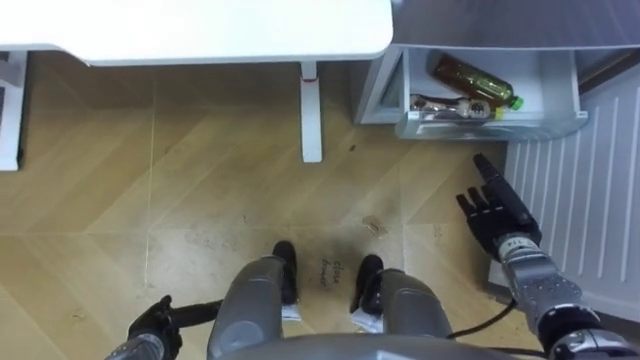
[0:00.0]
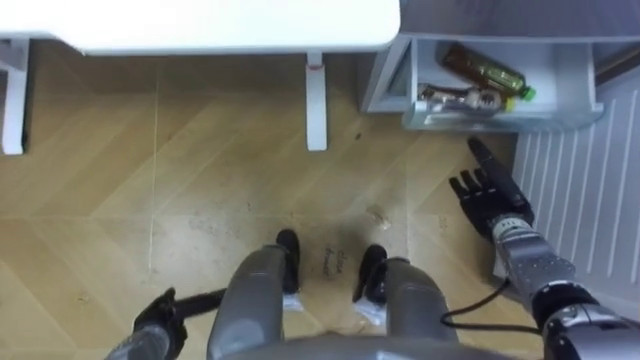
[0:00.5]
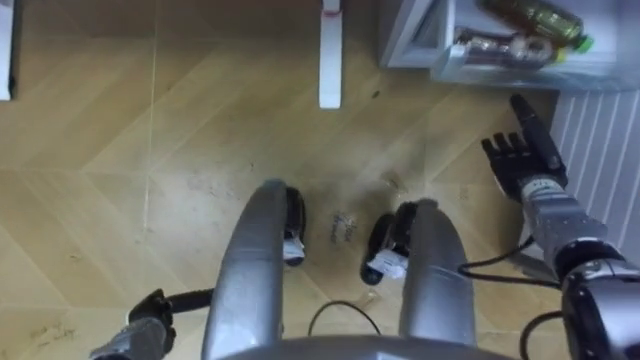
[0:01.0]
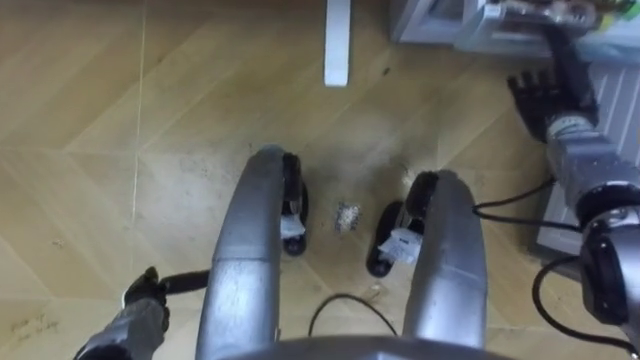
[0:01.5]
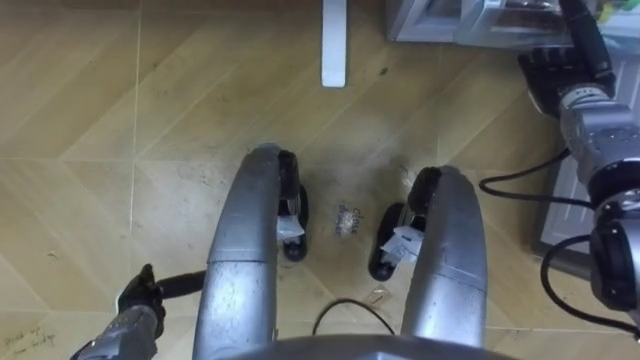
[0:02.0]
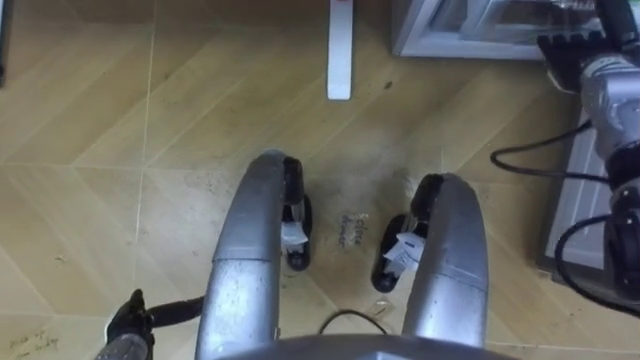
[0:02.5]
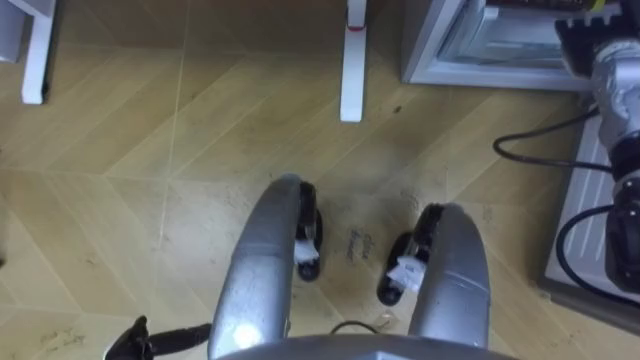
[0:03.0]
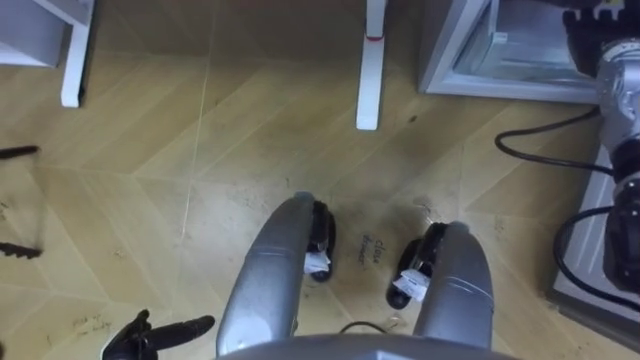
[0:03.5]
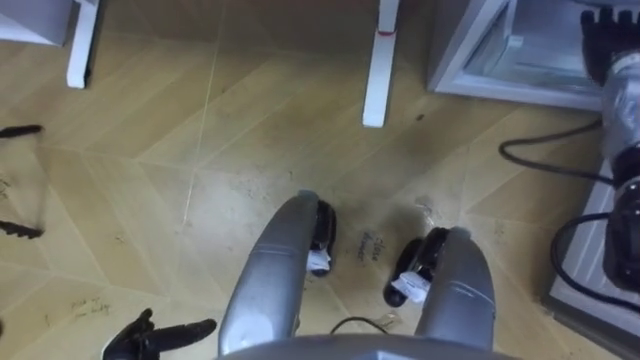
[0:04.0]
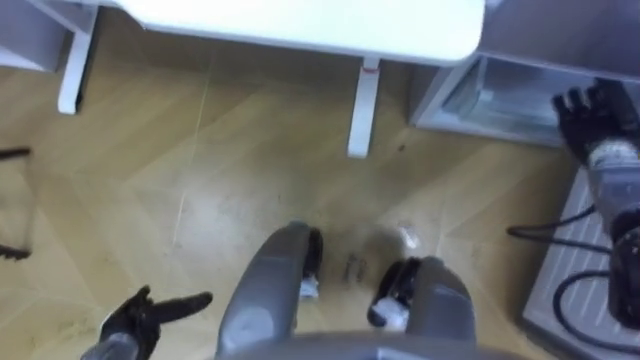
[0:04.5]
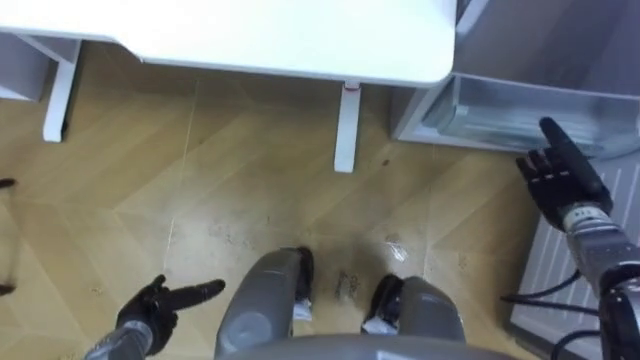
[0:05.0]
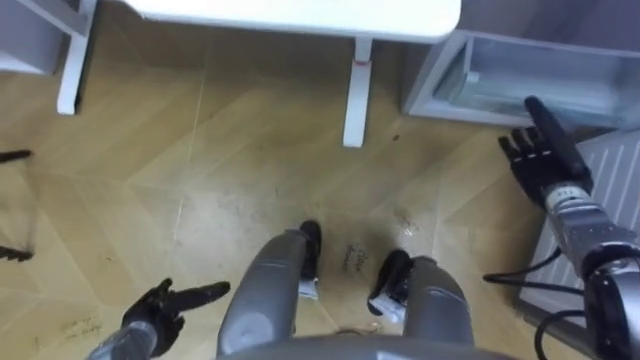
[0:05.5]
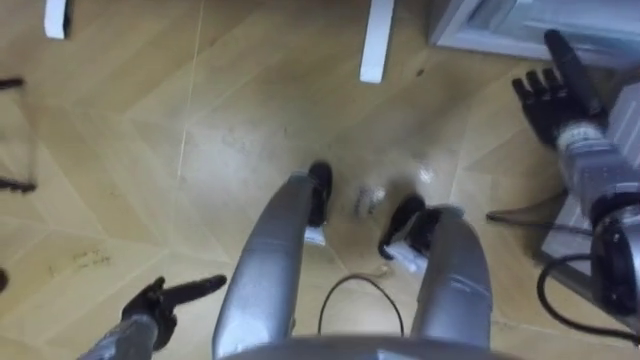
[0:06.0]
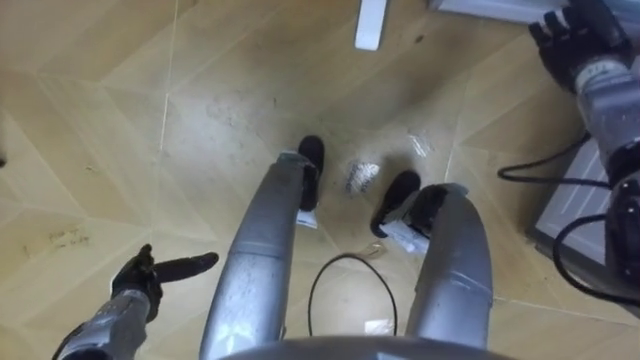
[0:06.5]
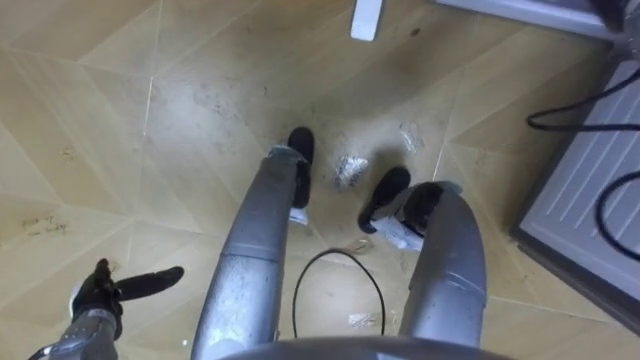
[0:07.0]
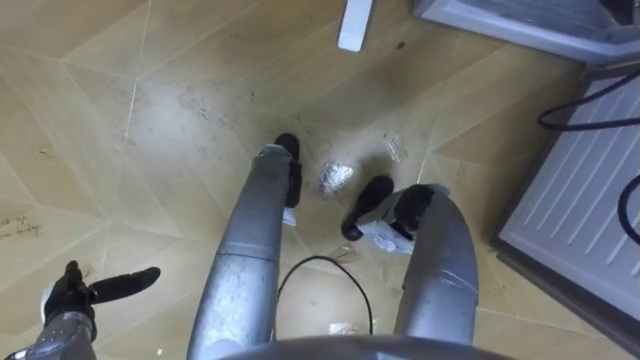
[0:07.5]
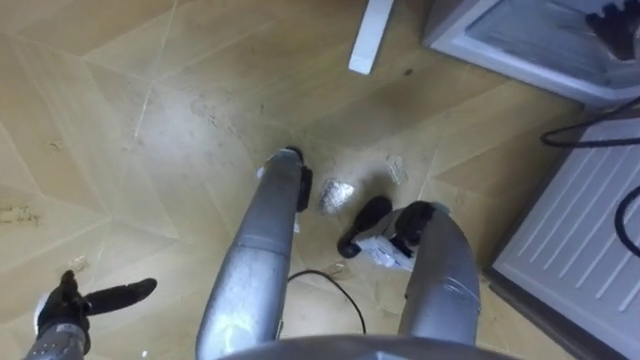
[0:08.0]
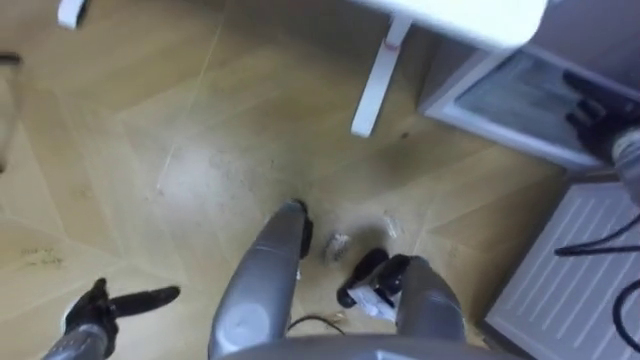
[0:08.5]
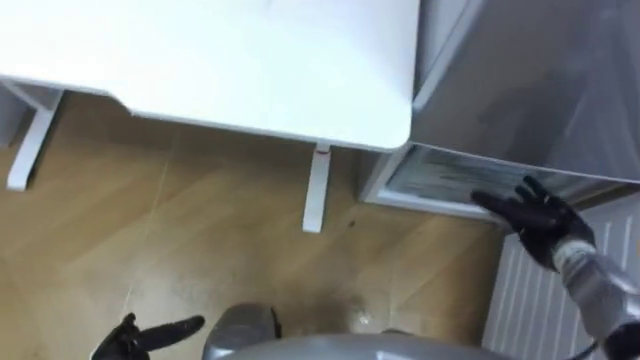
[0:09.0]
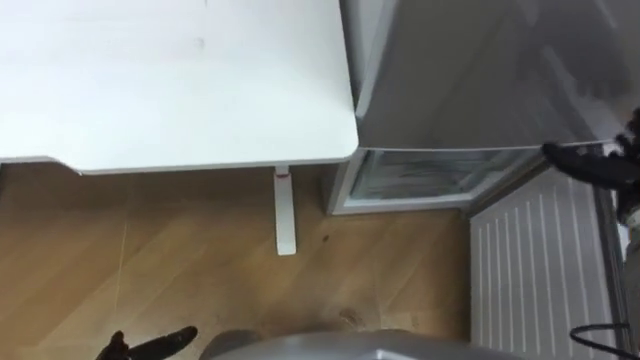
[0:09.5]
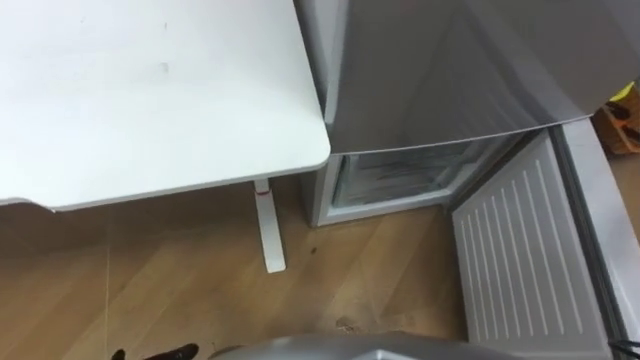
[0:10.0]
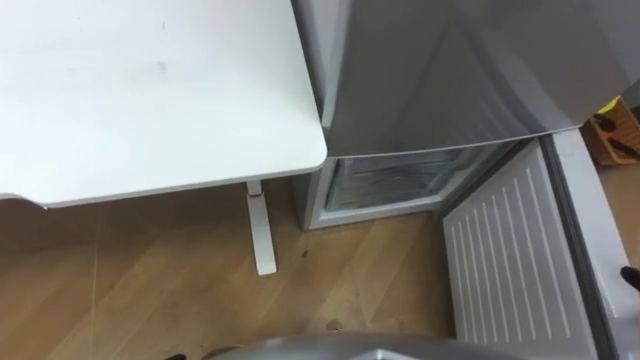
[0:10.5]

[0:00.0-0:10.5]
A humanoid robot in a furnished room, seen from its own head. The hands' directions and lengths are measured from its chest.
Task of the whole recording: Place the drink on the table on the bottom shelf of the refrigerator, then close the drawer and the refrigerator door.
0:00.0 to 0:02.0: The left hand ends up approximately 5 cm from where it was; the right hand shifts roughly 20 cm forward and upward.
0:02.0 to 0:04.0: The right hand travels upward by approximately 5 cm.
0:04.0 to 0:06.5: The left hand is displaced forward by roughly 10 cm, while the right hand travels downward and back again, about 15 cm each way.
0:06.5 to 0:08.5: The left hand heads to the left, covering some 5 cm.

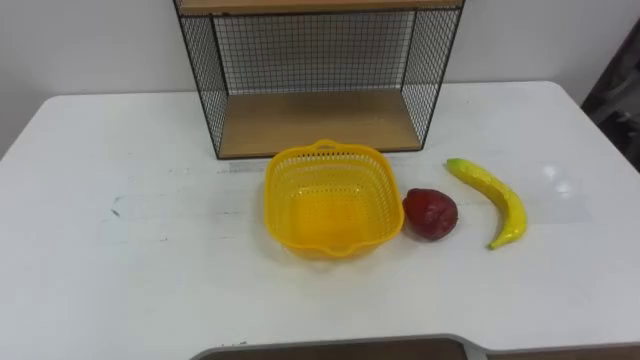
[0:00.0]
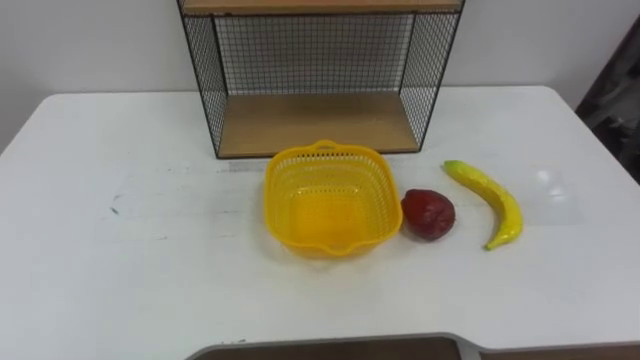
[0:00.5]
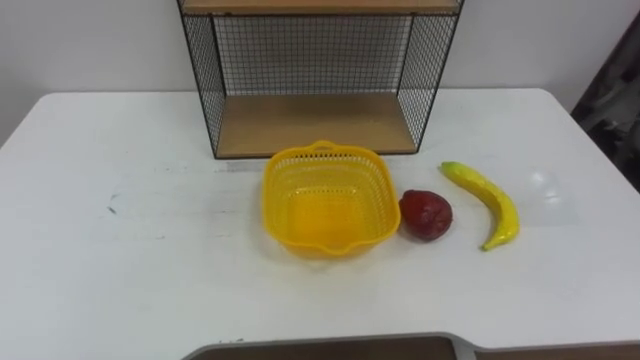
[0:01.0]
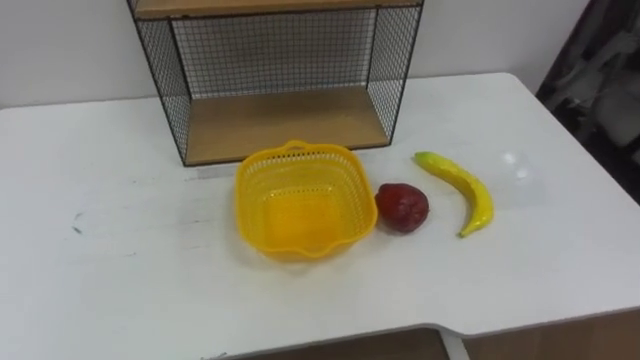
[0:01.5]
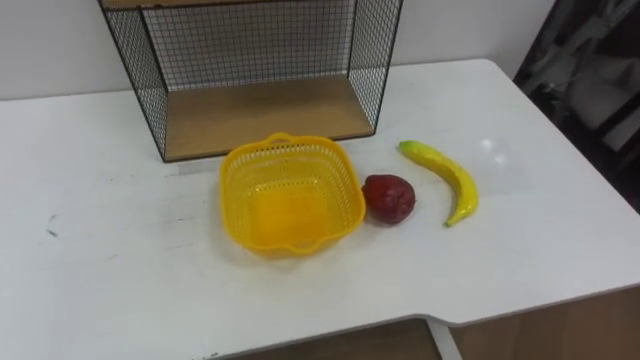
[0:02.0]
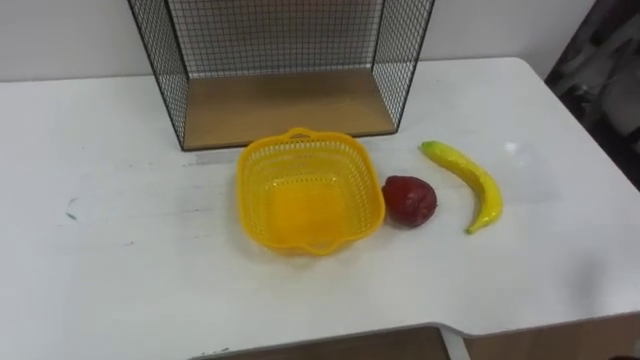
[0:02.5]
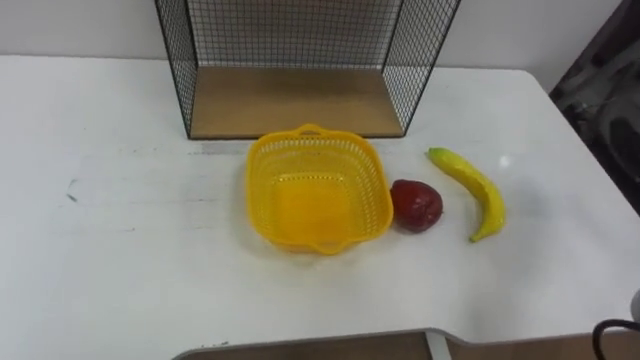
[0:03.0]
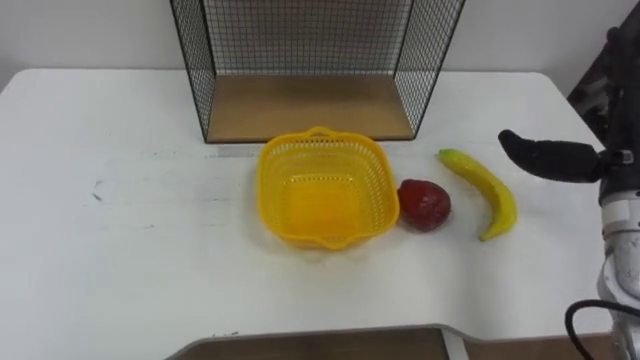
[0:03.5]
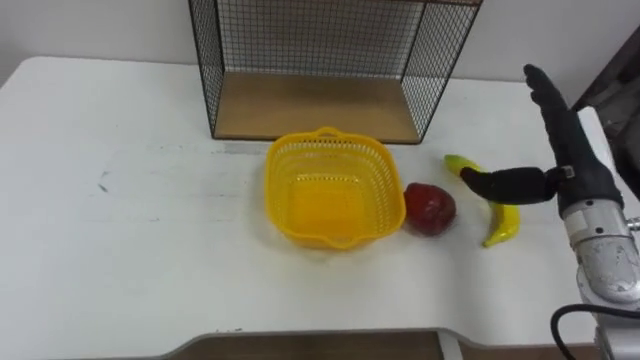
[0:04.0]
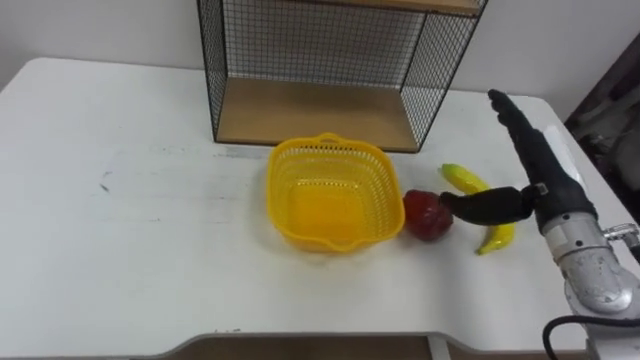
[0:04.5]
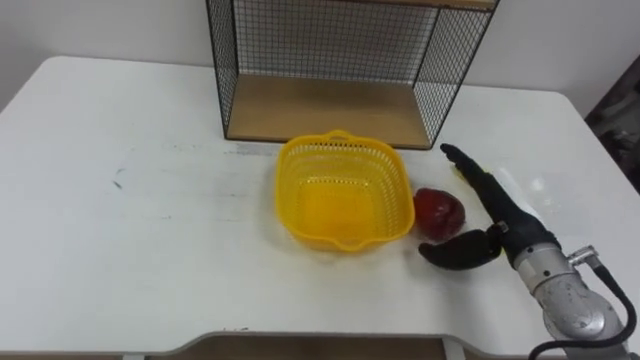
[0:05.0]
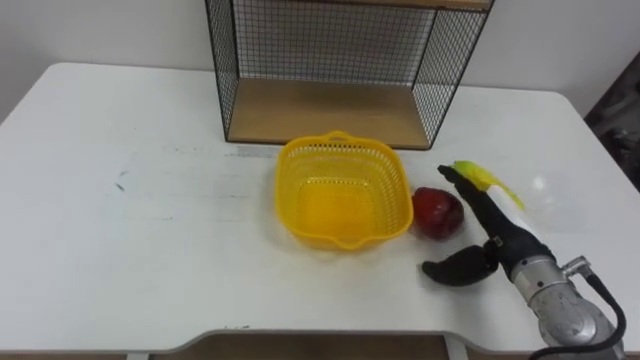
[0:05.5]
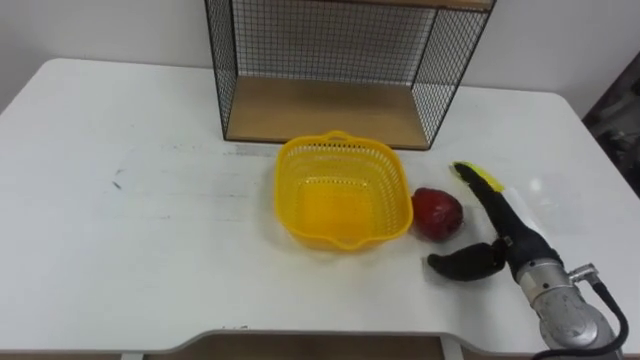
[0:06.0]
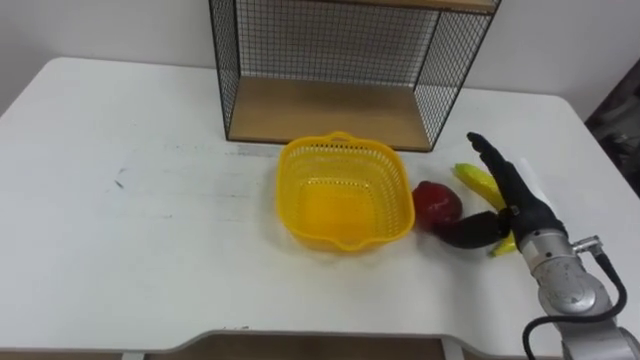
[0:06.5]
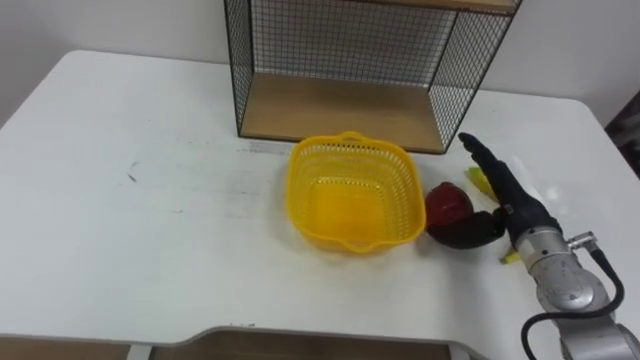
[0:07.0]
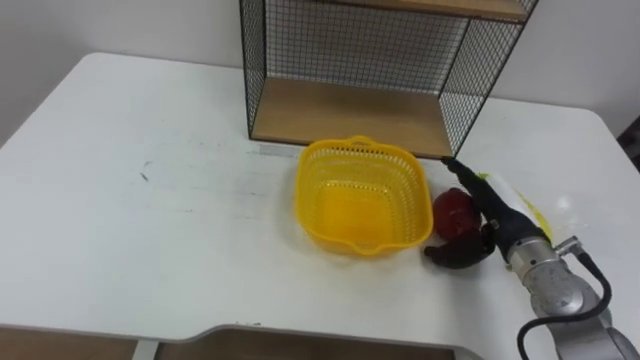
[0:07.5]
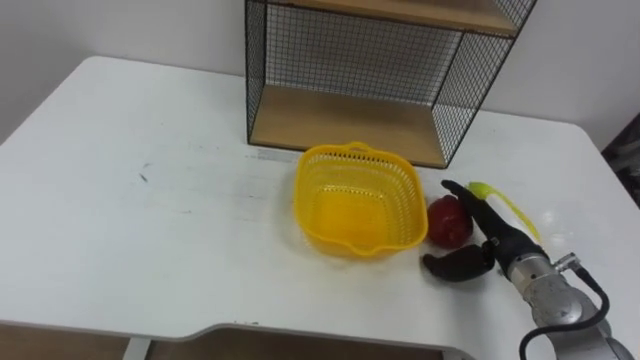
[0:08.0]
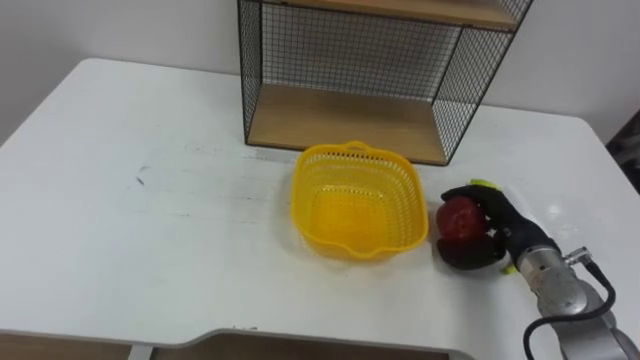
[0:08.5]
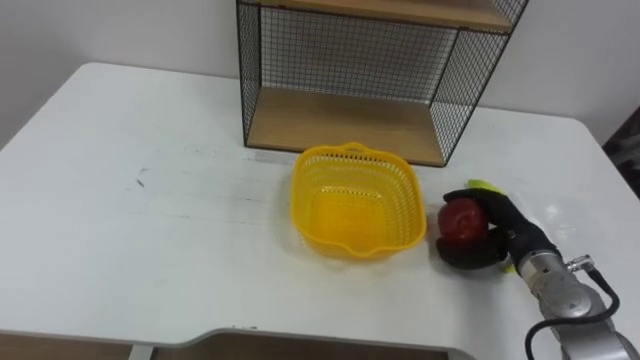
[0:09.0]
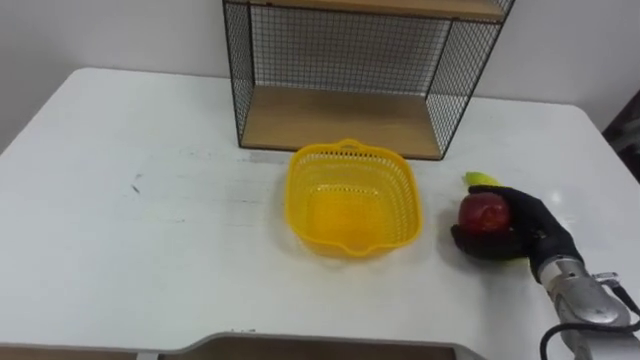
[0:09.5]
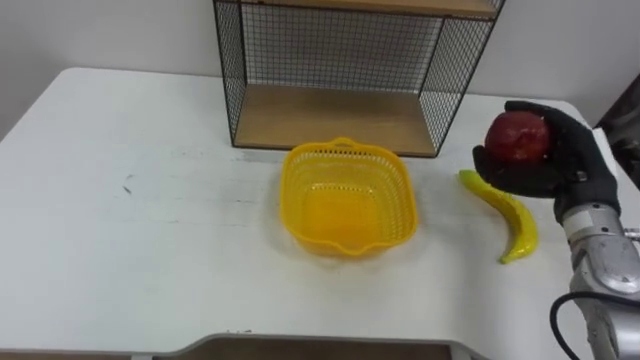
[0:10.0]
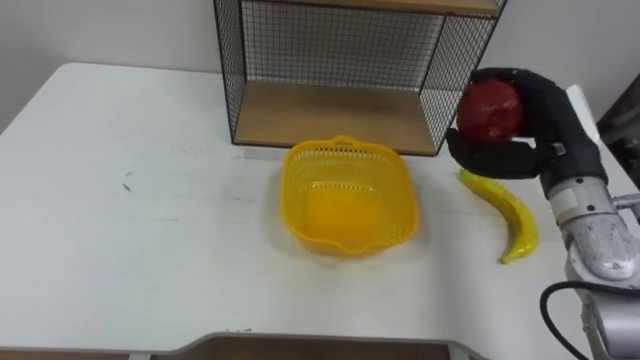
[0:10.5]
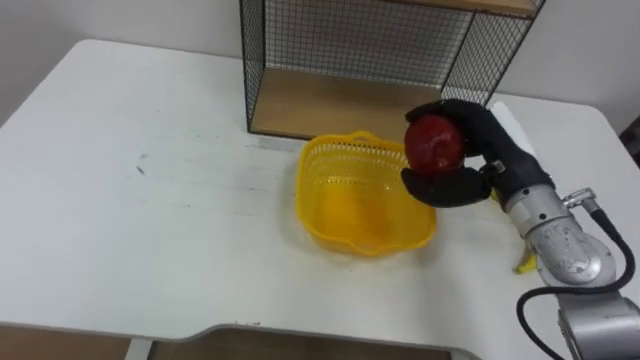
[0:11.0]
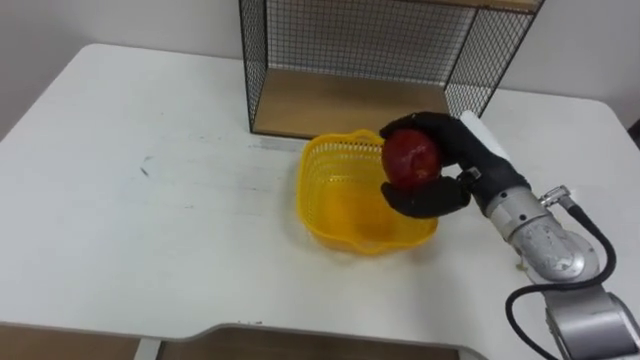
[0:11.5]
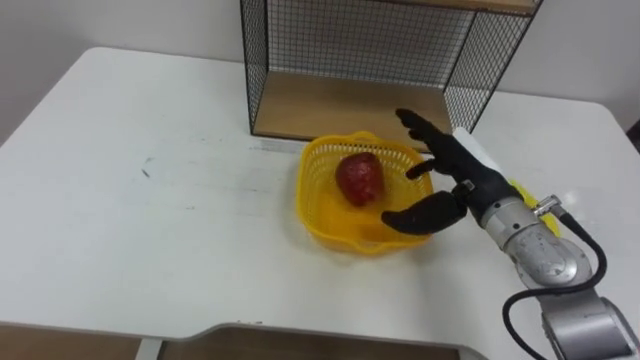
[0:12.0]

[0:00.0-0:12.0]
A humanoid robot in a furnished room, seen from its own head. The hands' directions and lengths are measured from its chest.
Task of the whole recording: Put the fruit on the table into the basket, then place the basket on the shelf.
0:04.0 to 0:06.0: The right hand shifts about 10 cm downward.
0:08.0 to 0:10.0: The right hand shifts roughly 10 cm upward and to the right, and closes its fingers.
0:10.0 to 0:12.0: The right hand is displaced to the left by approximately 10 cm, and opens.
